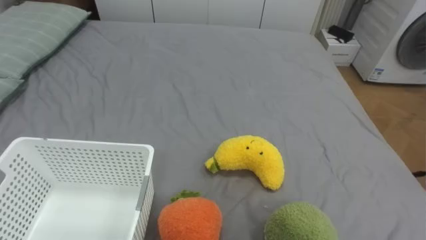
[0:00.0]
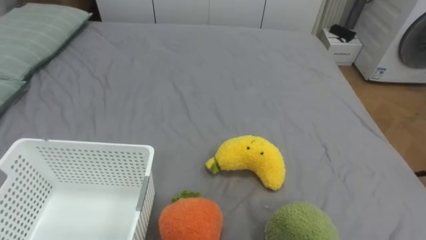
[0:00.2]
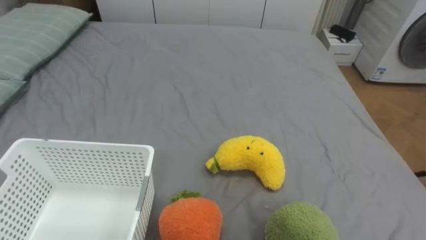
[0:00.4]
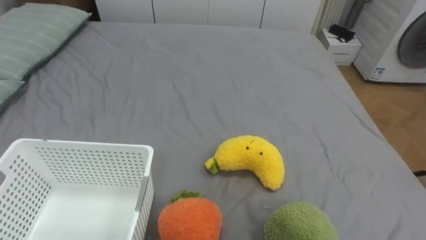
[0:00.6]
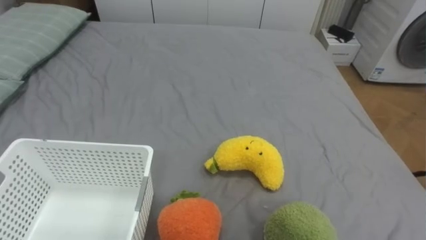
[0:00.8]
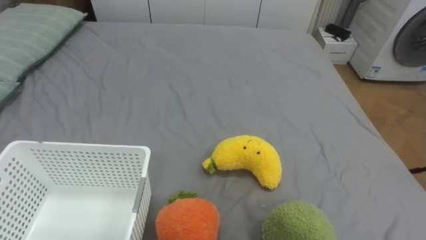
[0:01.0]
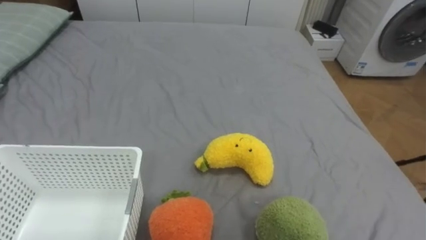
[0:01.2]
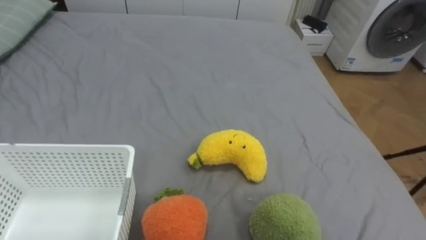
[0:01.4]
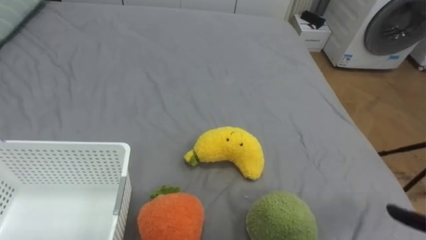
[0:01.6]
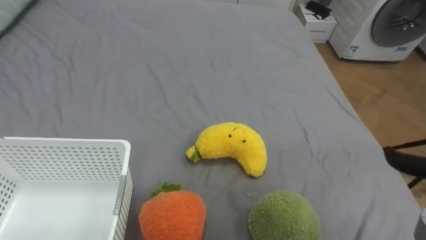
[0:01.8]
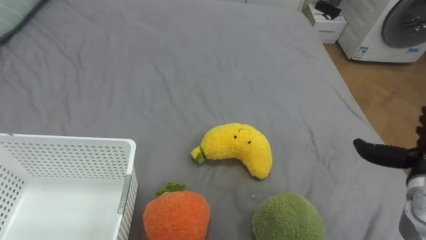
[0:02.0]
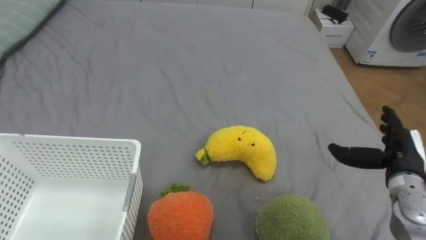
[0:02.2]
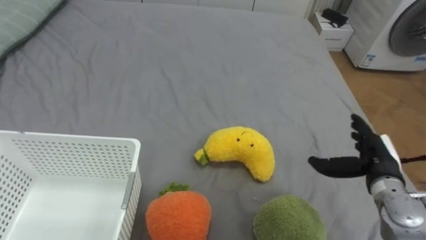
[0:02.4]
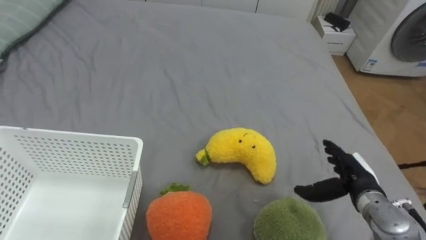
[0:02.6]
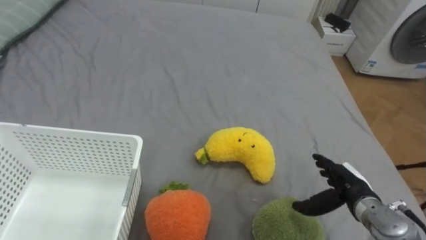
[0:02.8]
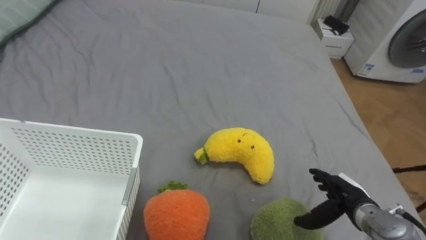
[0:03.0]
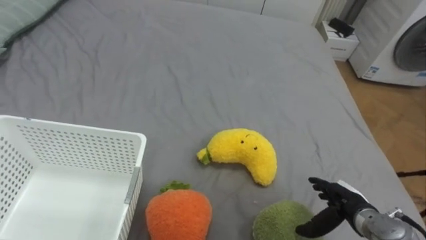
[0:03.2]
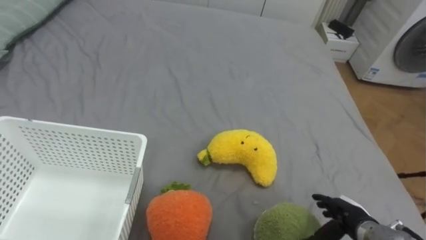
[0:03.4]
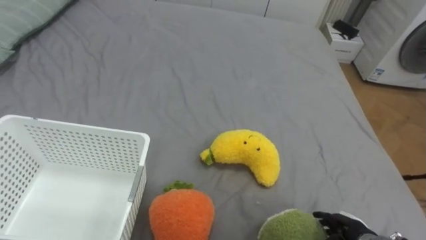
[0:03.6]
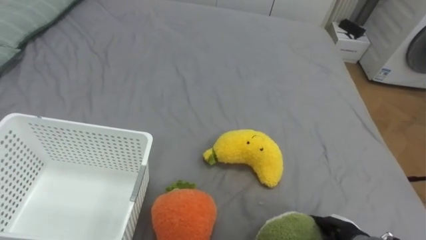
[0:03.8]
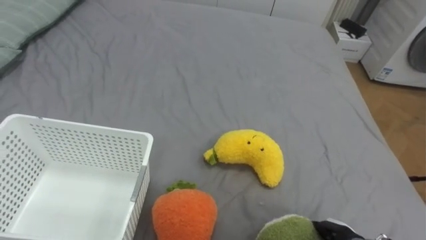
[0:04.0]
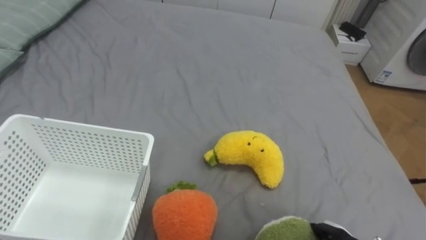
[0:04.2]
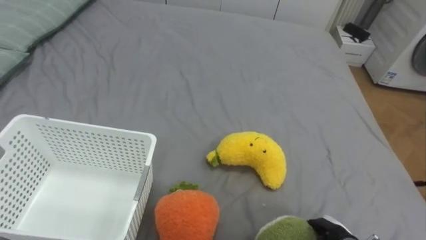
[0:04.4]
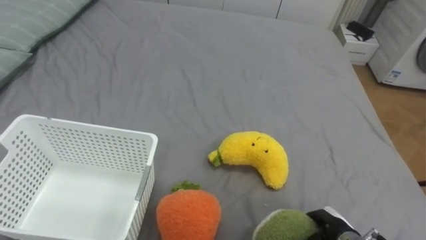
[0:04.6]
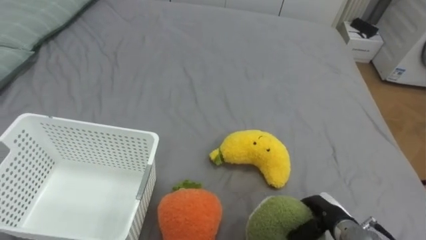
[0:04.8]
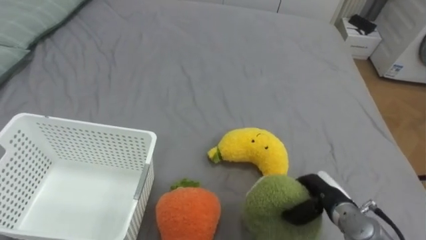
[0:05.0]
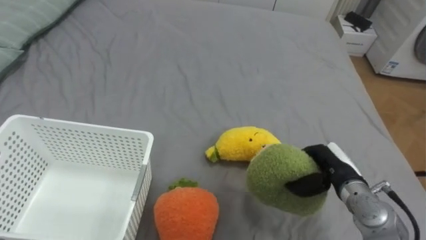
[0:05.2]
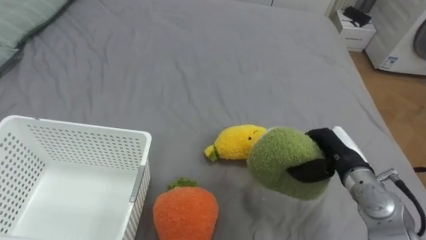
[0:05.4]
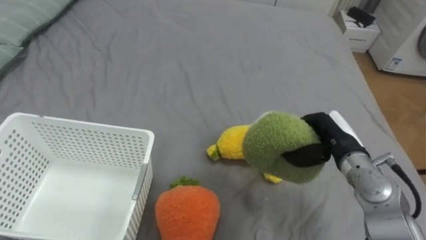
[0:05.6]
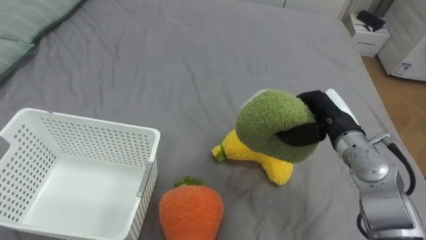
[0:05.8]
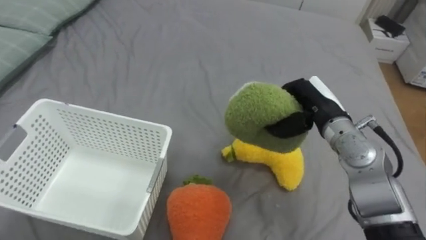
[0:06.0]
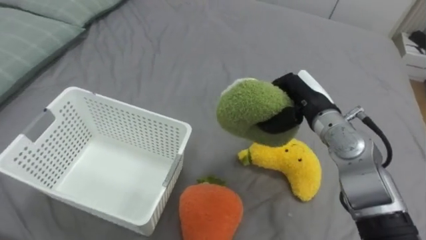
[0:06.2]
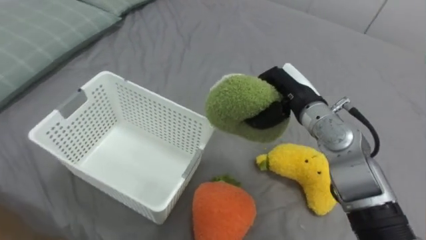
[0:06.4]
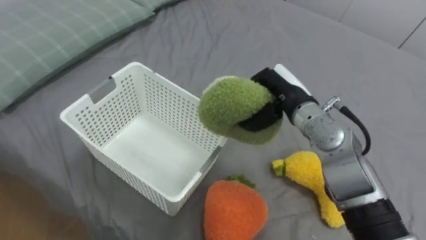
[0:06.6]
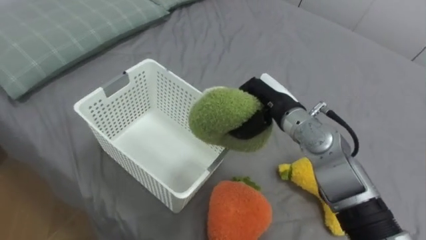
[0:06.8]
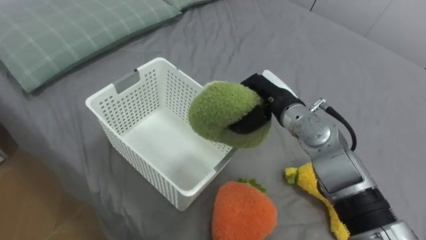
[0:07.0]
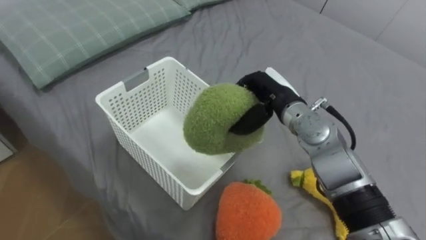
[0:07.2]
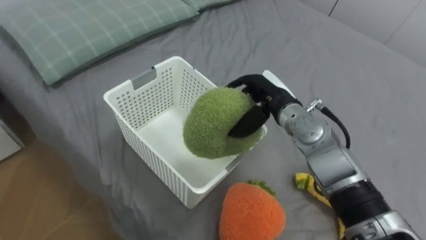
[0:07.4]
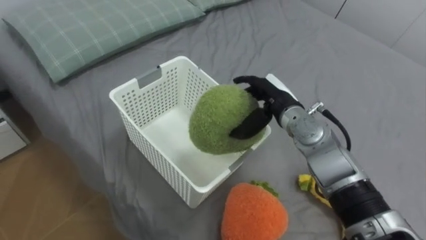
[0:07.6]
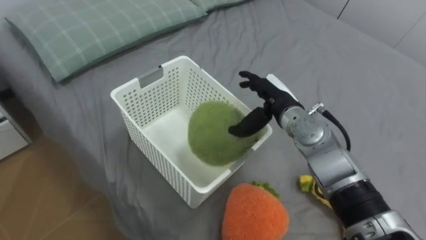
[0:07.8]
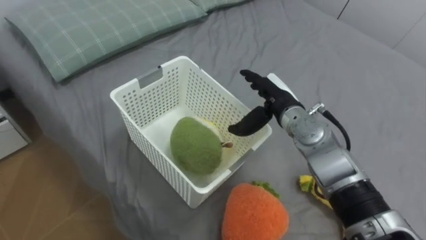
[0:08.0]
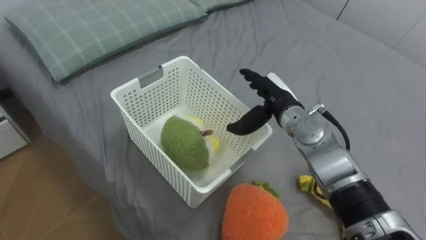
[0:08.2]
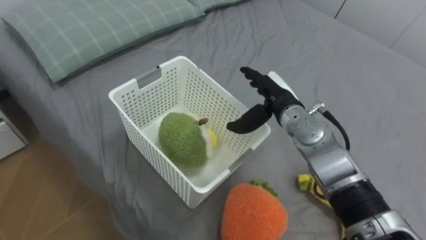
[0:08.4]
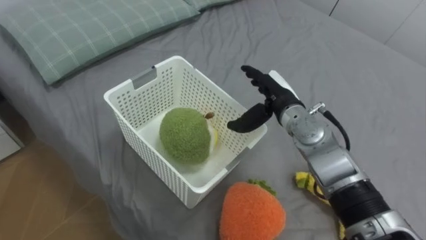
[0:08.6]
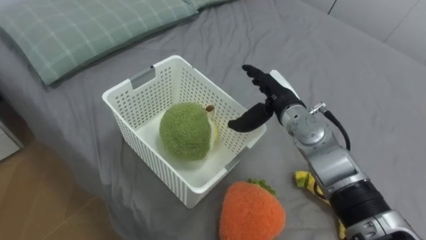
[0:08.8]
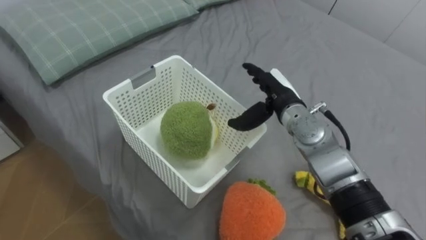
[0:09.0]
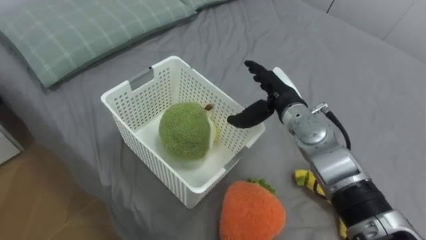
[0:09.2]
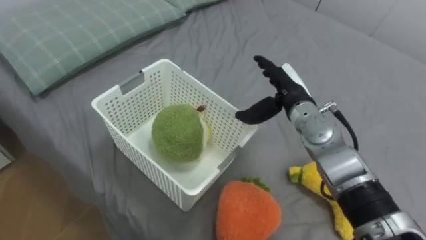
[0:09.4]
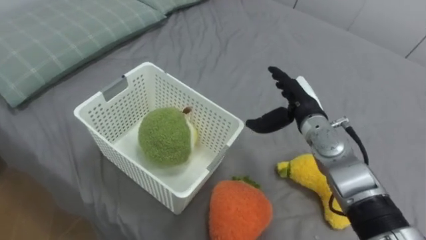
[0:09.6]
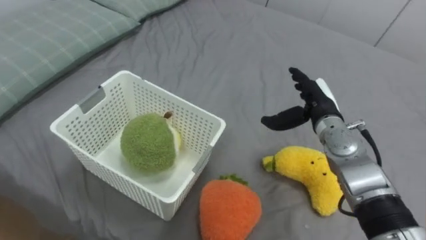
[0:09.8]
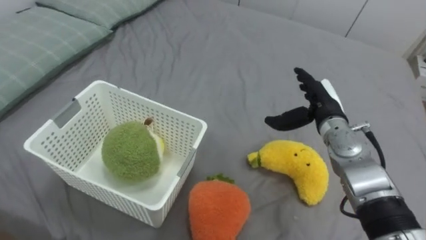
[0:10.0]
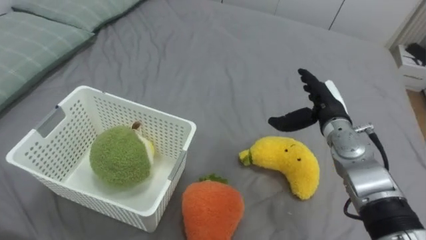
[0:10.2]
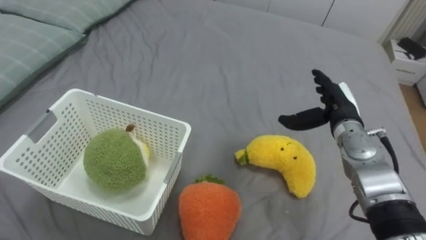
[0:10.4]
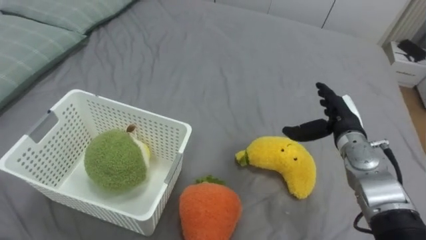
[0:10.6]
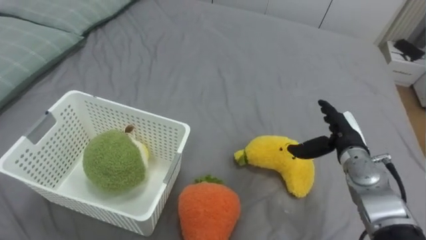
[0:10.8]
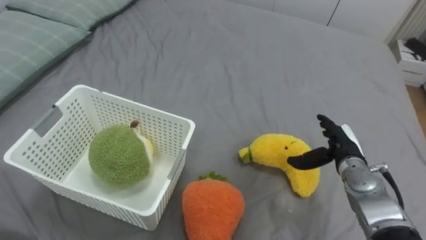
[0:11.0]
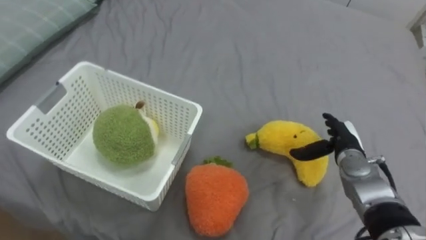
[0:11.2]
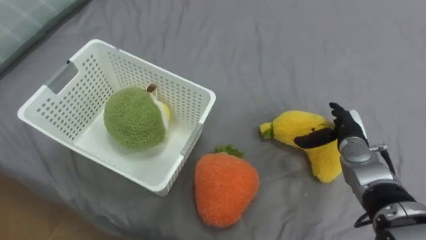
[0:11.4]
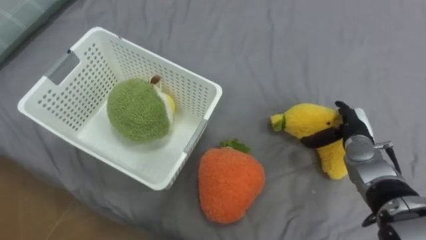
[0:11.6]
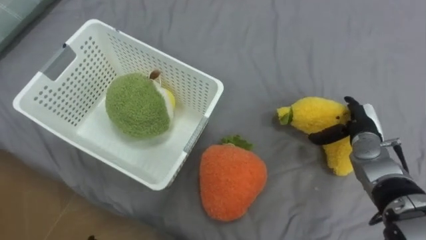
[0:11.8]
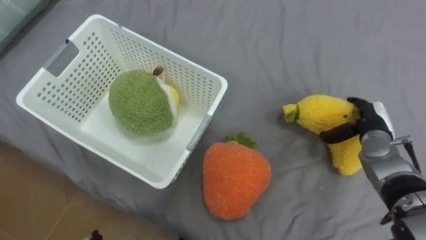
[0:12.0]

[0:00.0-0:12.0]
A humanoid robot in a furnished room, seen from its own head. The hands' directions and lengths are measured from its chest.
Task of the whole recording: Put the toys on the bed into the basket on the left.
0:03.0 to 0:04.4: The right hand heads downward and backward, covering some 10 cm.
0:04.4 to 0:06.0: The right hand is displaced upward and forward by approximately 30 cm, and closes up.
0:06.0 to 0:07.6: The right hand moves to the left, about 10 cm, and opens its fingers.
0:09.0 to 0:10.4: The right hand heads to the right, covering some 10 cm.
0:10.4 to 0:12.0: The right hand goes some 10 cm to the right.

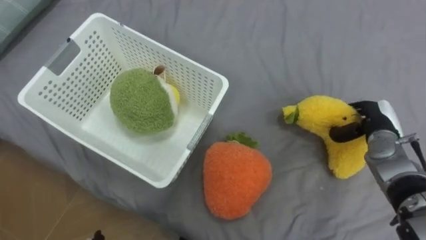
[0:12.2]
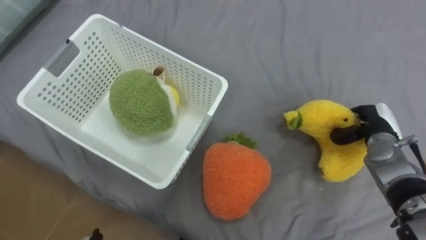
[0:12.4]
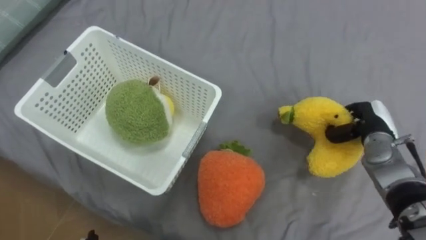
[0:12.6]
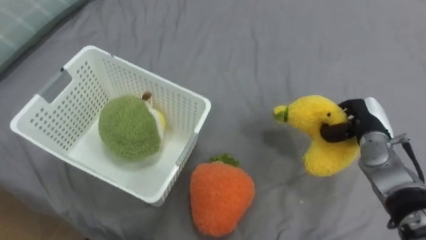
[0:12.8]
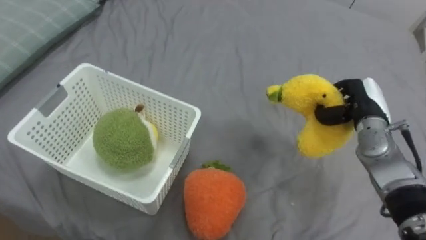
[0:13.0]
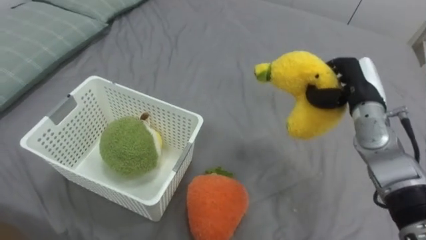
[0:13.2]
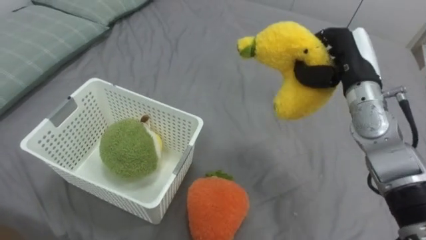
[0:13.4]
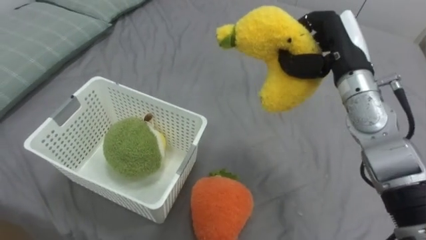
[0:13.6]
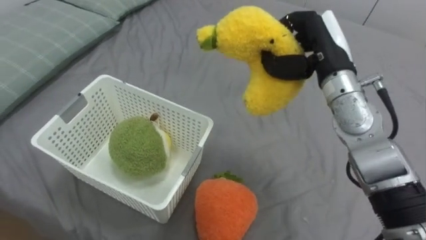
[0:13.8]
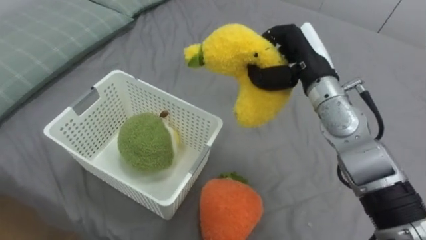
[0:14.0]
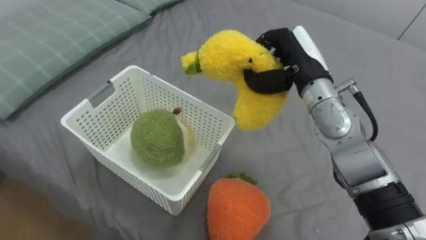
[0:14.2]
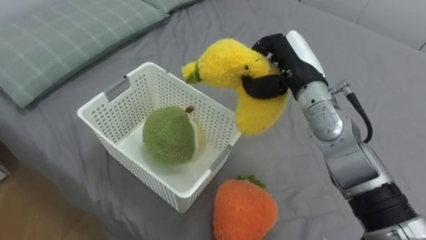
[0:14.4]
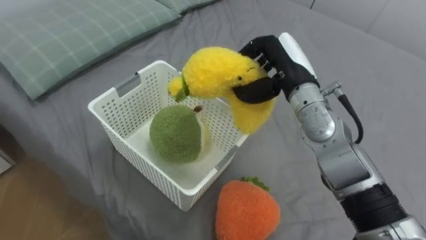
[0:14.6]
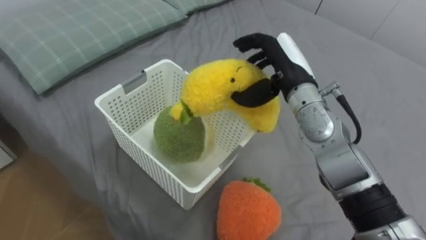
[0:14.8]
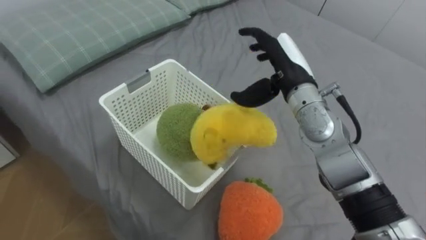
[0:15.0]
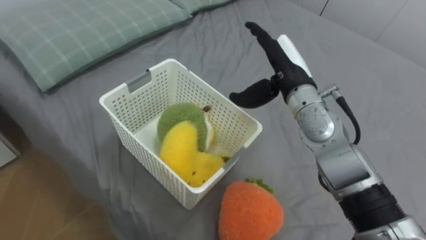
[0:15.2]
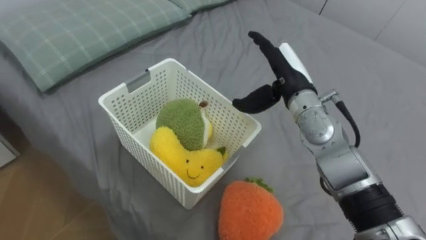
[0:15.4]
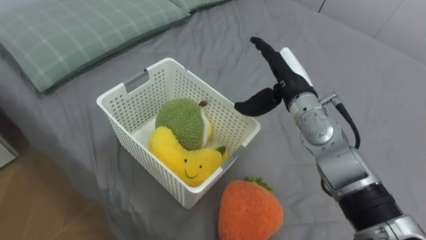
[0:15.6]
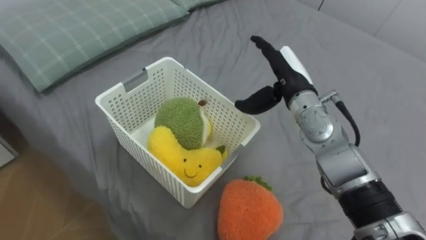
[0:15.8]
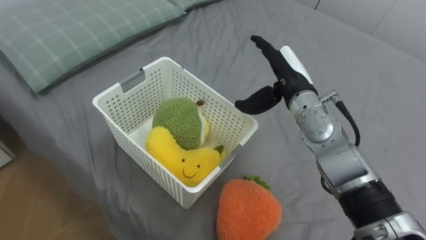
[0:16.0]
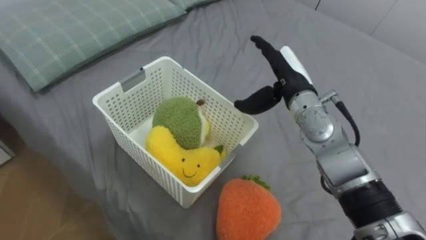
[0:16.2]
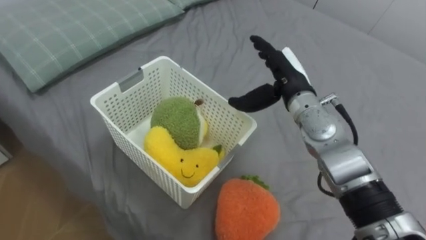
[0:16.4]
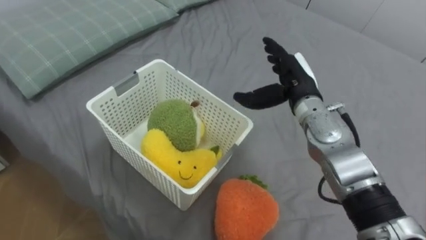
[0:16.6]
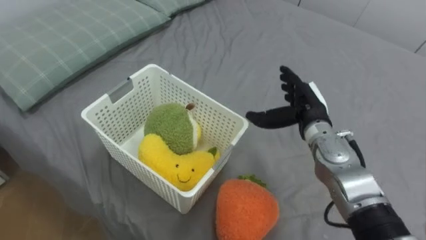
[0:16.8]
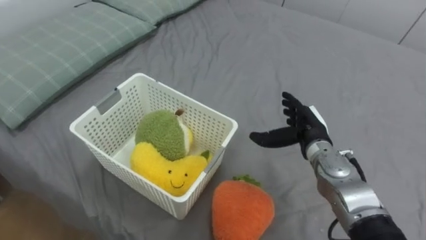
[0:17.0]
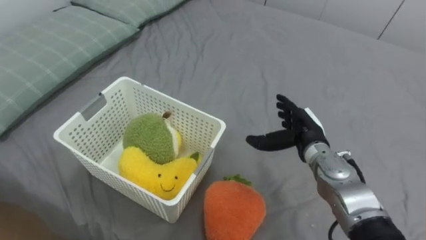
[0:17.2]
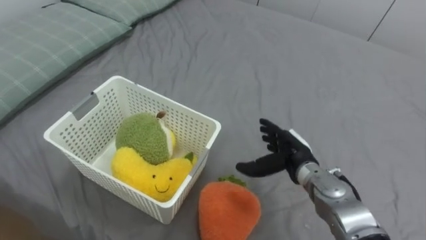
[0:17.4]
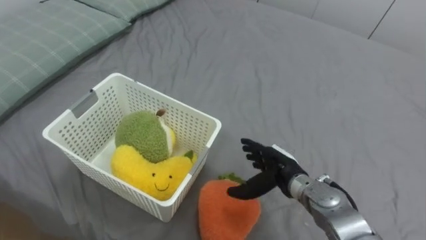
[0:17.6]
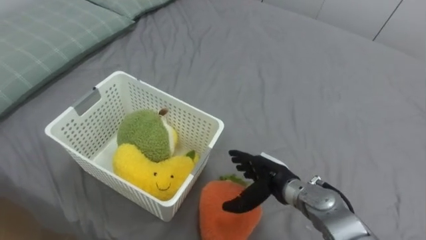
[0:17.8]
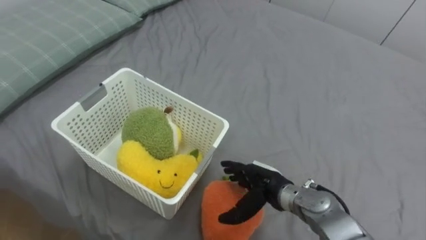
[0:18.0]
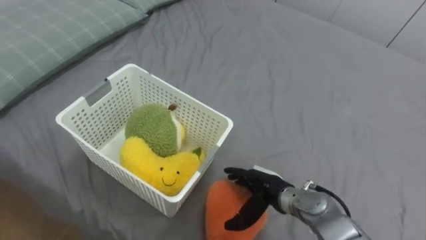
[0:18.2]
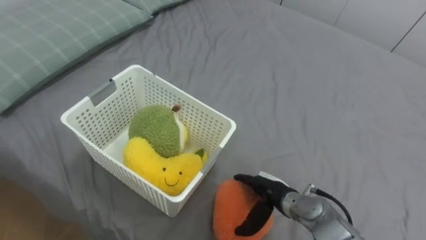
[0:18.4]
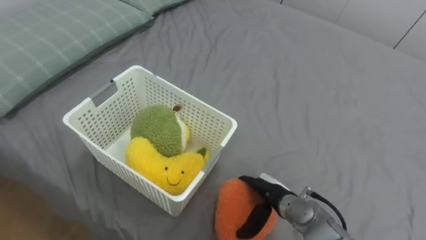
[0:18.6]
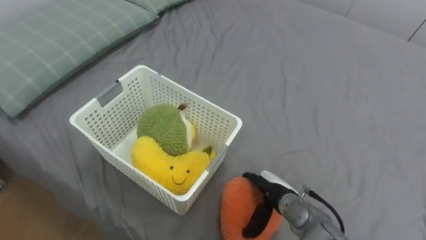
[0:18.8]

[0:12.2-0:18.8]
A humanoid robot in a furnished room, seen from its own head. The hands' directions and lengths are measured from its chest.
Task of the whole recording: Put the toys on the bed into the basket on the left.
0:12.2 to 0:13.8: The right hand moves upward and to the left, some 25 cm, and closes up.
0:13.8 to 0:15.4: The right hand heads downward, covering some 5 cm, and opens.
0:15.4 to 0:17.2: The right hand shifts approximately 15 cm downward and to the right.
0:17.2 to 0:18.8: The right hand shifts approximately 15 cm downward, backward and to the left.
